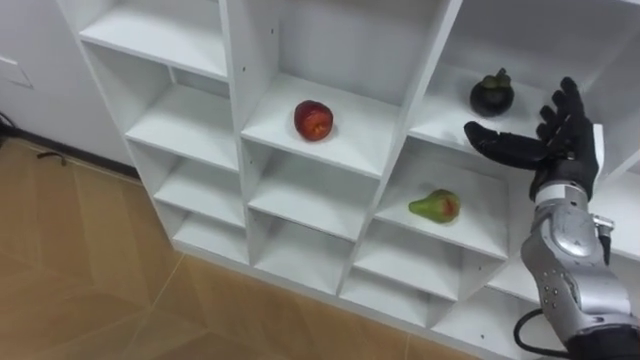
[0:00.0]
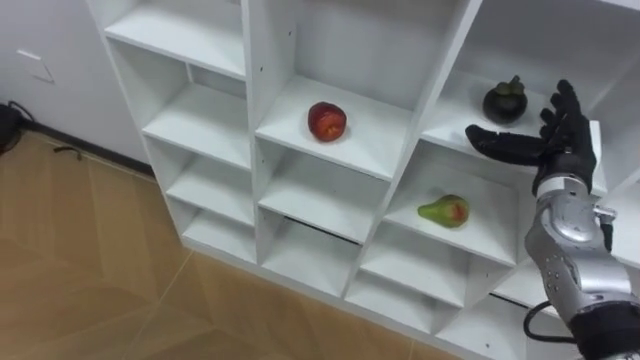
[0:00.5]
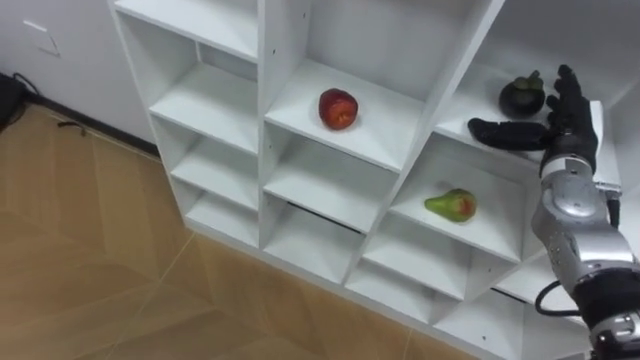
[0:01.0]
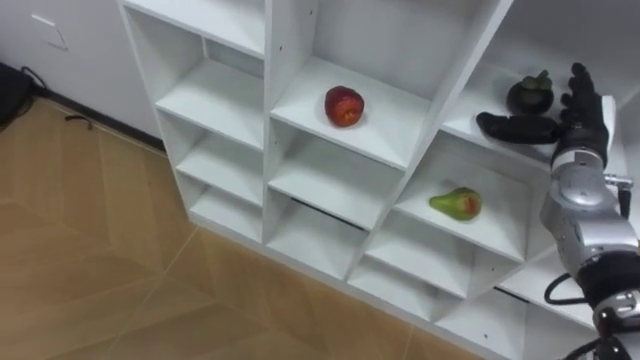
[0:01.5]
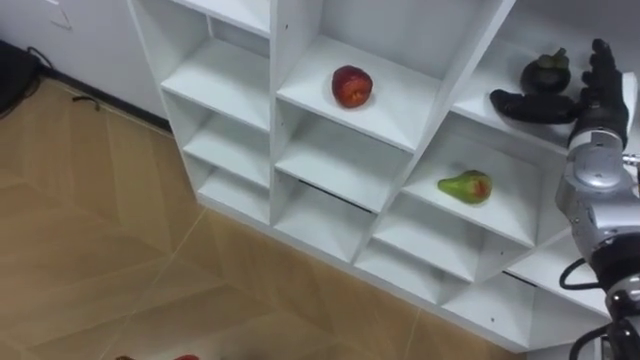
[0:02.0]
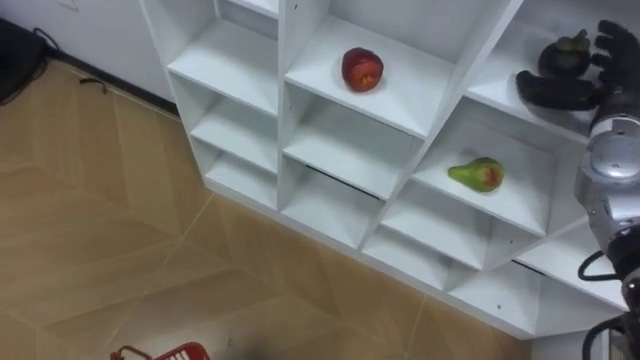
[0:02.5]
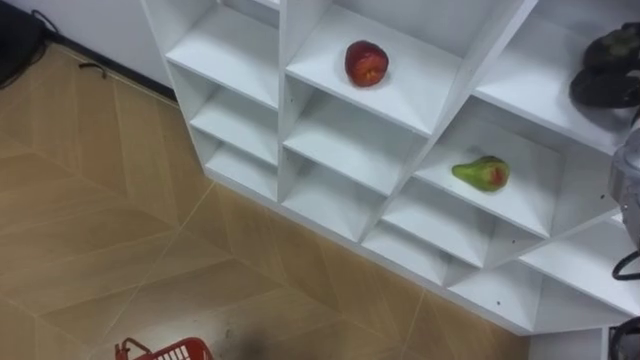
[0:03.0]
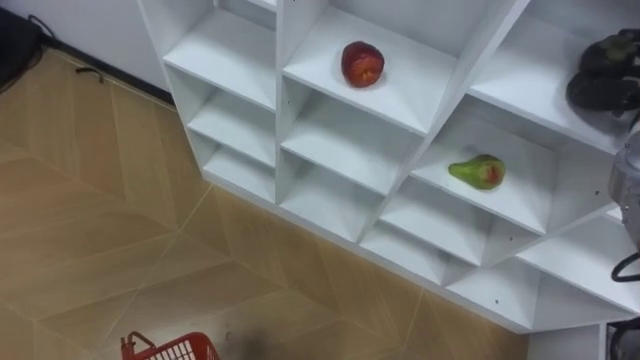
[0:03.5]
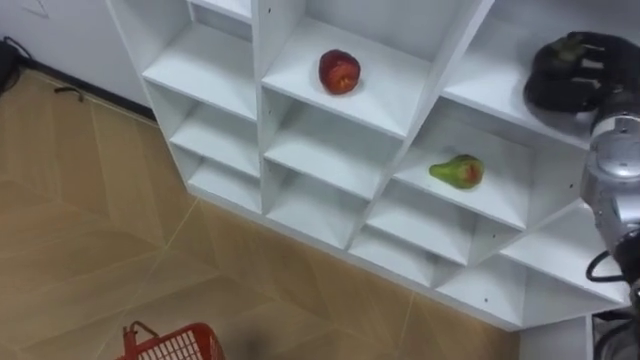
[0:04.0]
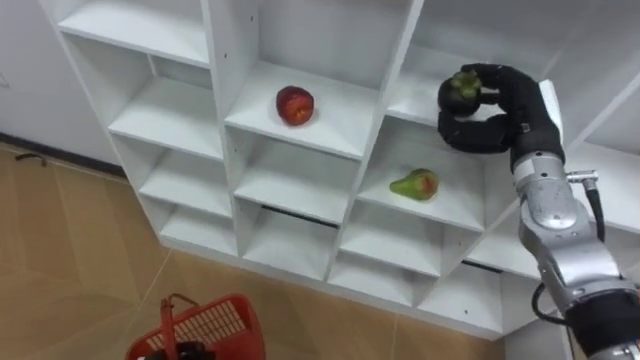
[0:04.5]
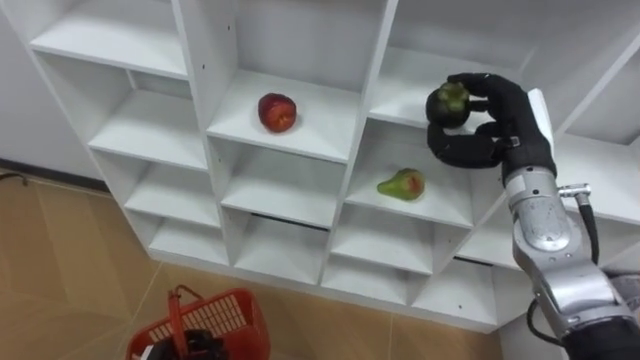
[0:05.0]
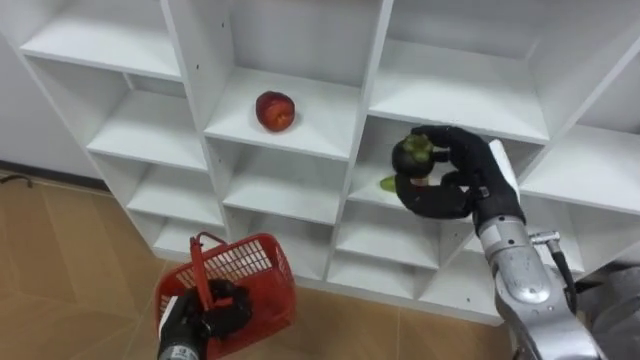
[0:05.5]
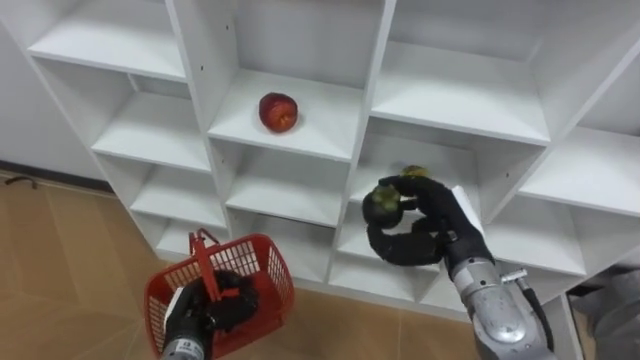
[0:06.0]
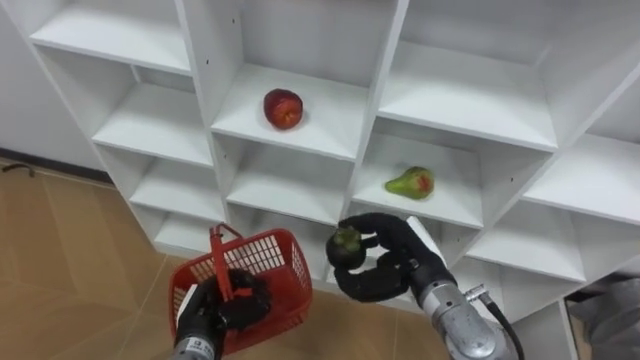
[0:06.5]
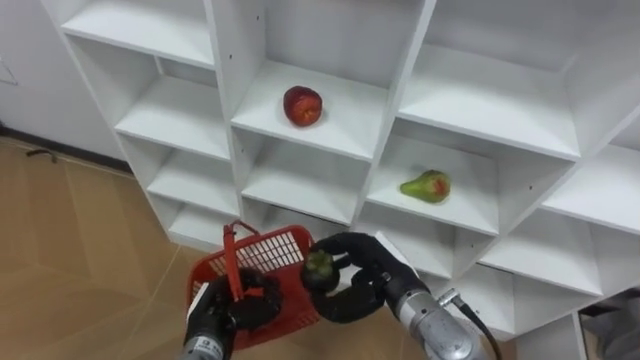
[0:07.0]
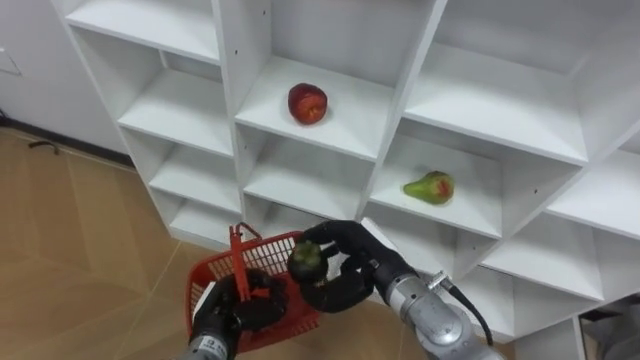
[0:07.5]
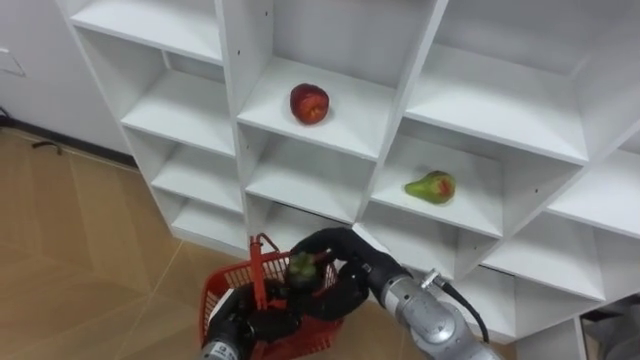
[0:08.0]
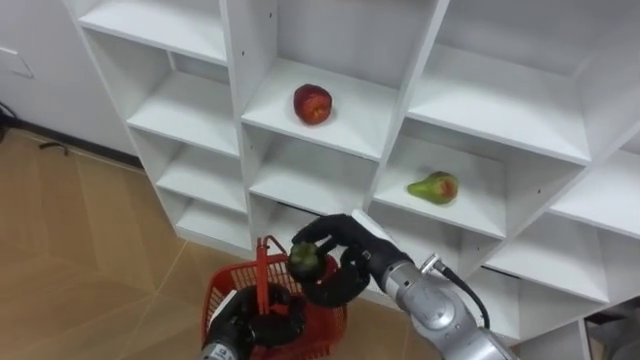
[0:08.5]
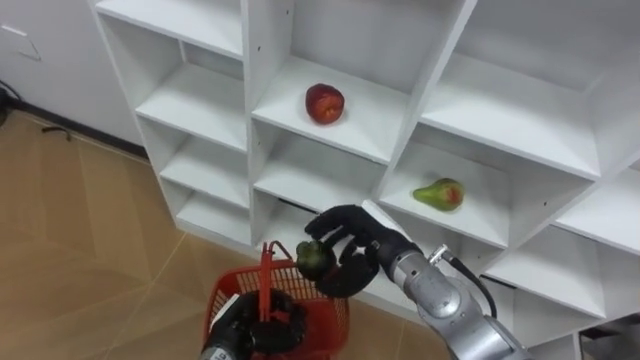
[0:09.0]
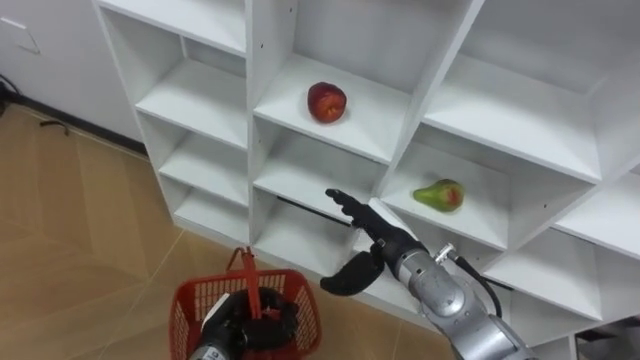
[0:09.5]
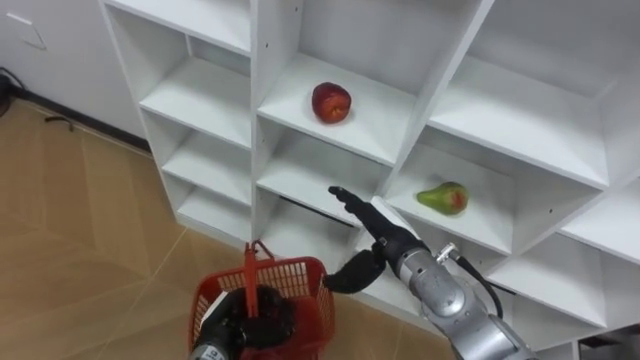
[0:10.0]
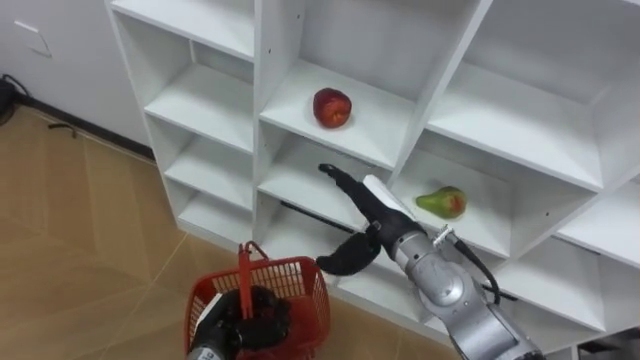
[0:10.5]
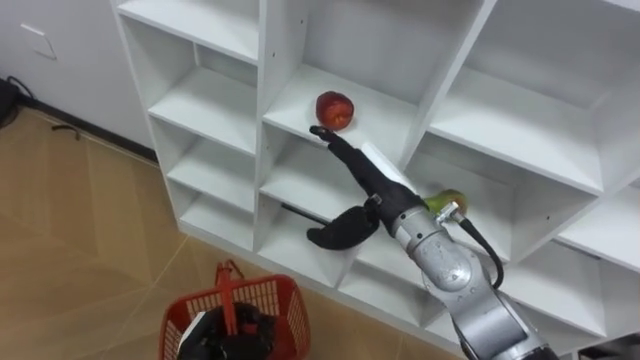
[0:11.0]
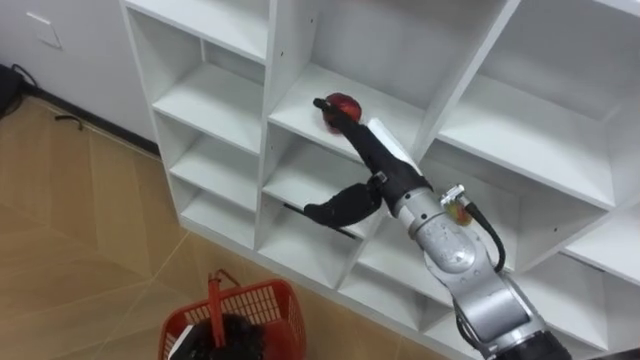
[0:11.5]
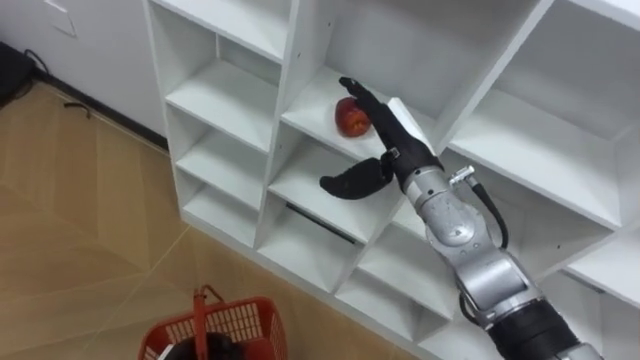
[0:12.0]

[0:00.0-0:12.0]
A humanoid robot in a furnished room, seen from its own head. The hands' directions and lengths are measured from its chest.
Task of the whole recording: Hold the basket and collect the fruits from 3 different cells of the closet into it.
0:00.0 to 0:02.0: The right hand shifts approximately 5 cm forward.
0:04.0 to 0:06.0: The right hand shifts about 25 cm to the left, downward and backward.
0:06.0 to 0:08.0: The right hand travels to the left by roughly 10 cm, while the left hand travels to the right by roughly 5 cm.
0:08.0 to 0:10.0: The right hand opens up.
0:10.0 to 0:12.0: The right hand heads upward and forward, covering about 15 cm.

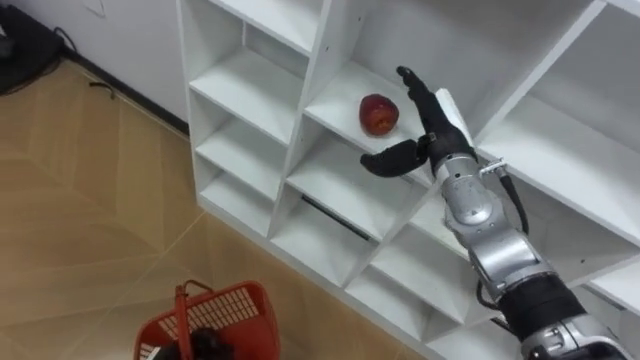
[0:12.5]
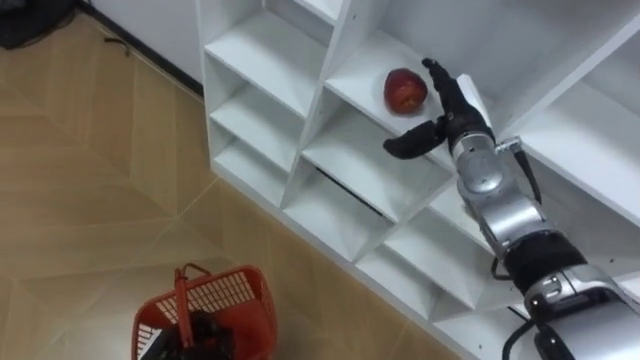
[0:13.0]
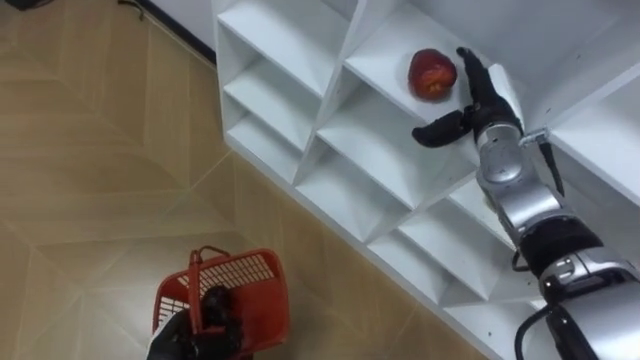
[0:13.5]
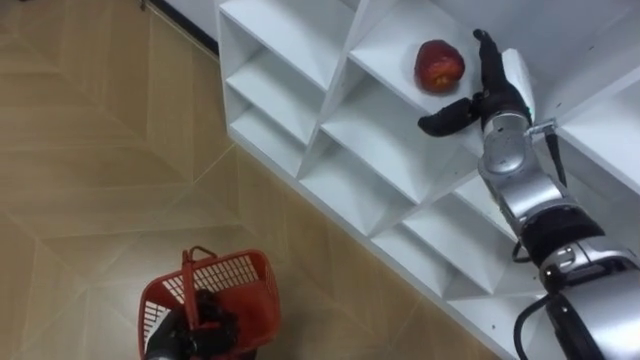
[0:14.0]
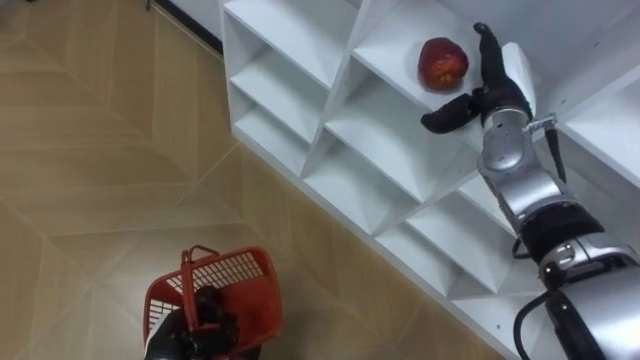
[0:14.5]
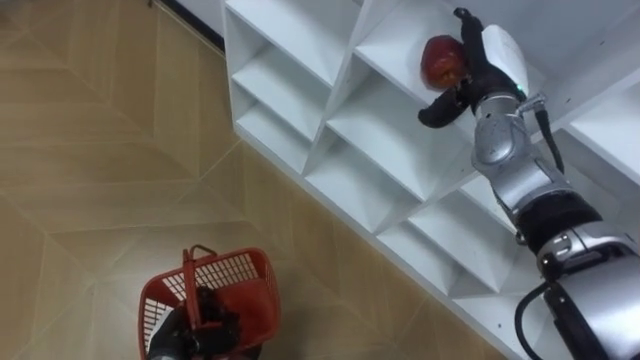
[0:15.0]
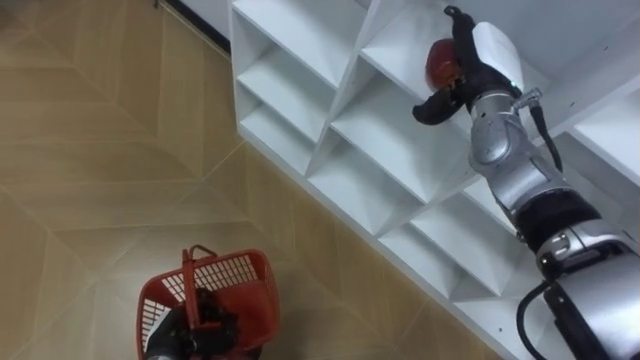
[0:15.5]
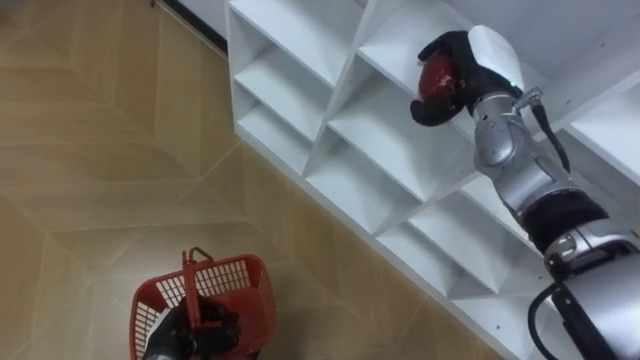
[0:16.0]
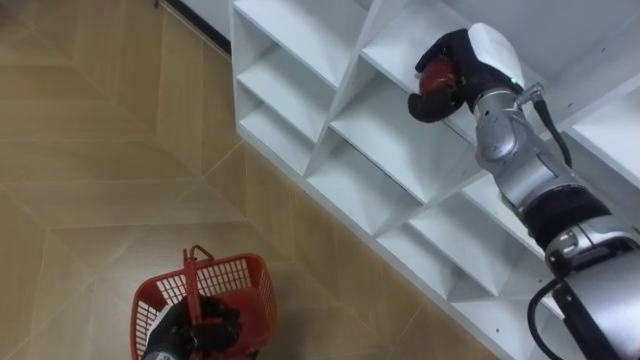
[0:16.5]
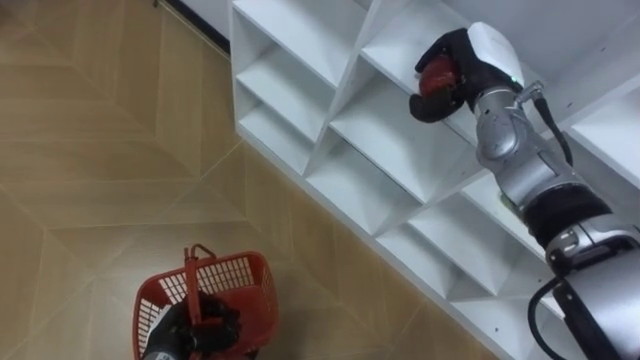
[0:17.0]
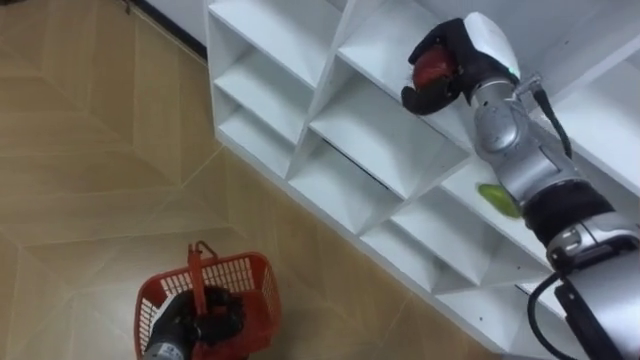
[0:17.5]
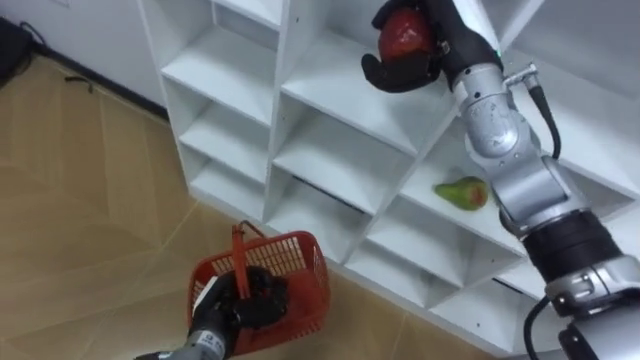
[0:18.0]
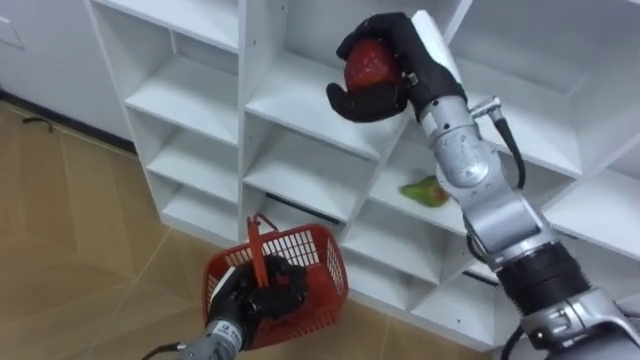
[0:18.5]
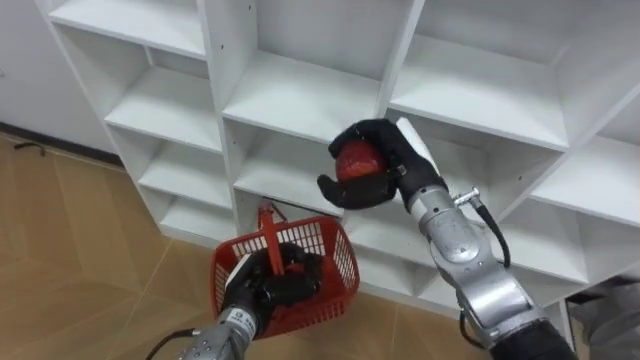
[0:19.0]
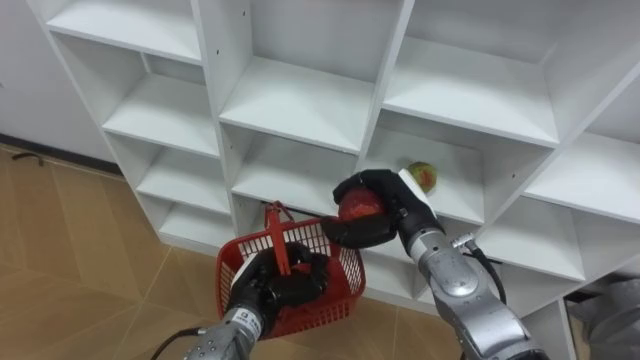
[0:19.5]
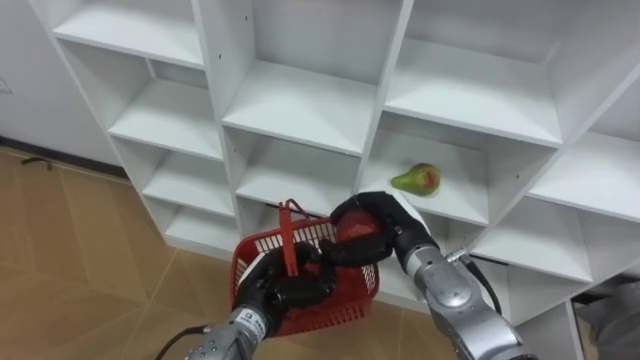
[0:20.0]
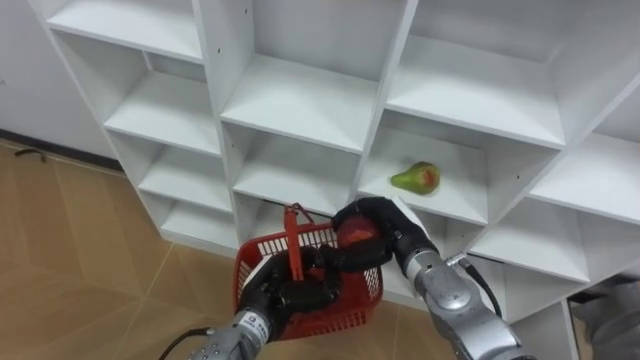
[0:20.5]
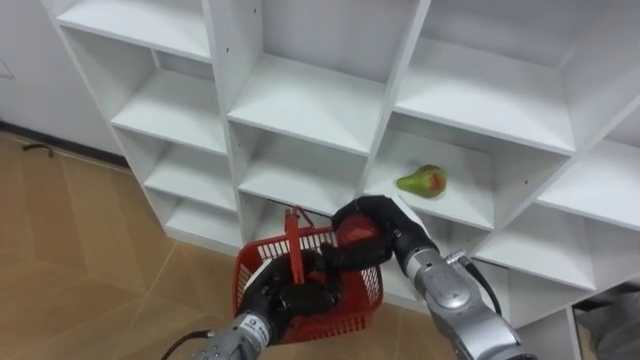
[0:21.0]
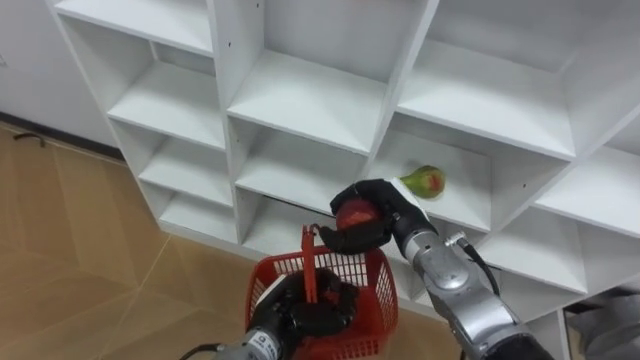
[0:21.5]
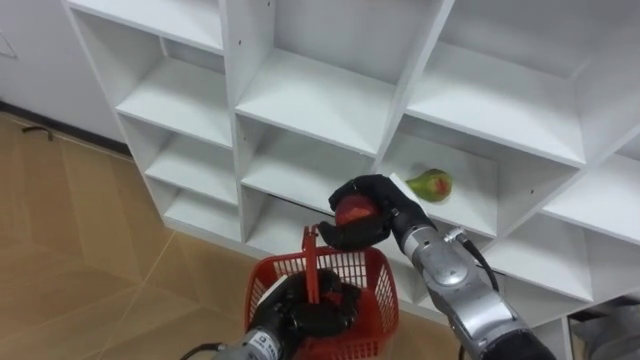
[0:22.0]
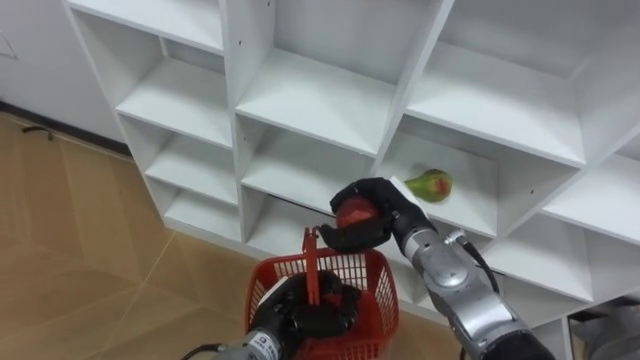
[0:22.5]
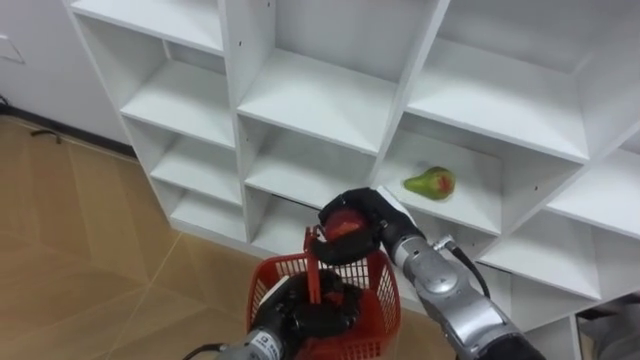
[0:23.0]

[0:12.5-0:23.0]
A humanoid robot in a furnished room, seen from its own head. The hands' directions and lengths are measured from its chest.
Task of the whole recording: Hold the basket and collect the fruits from 3 different cells of the closet into it.
0:12.5 to 0:14.5: The right hand moves to the right, some 5 cm.
0:14.5 to 0:16.5: The right hand closes up.
0:16.5 to 0:19.0: The right hand heads backward, to the left and downward, covering about 15 cm. Meanwhile the left hand heads to the right, upward and forward, covering roughly 15 cm.
0:19.0 to 0:21.0: The right hand shifts some 10 cm downward.
